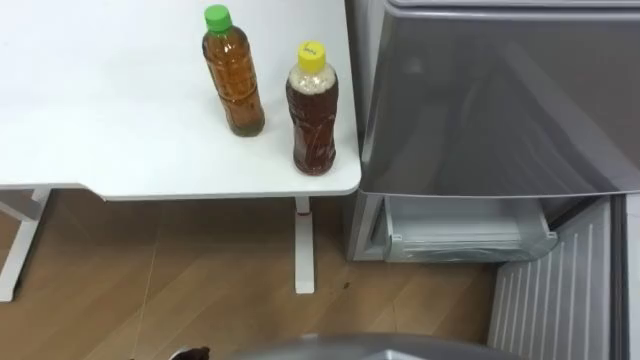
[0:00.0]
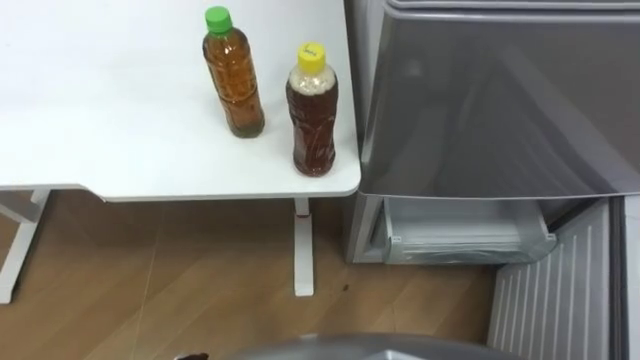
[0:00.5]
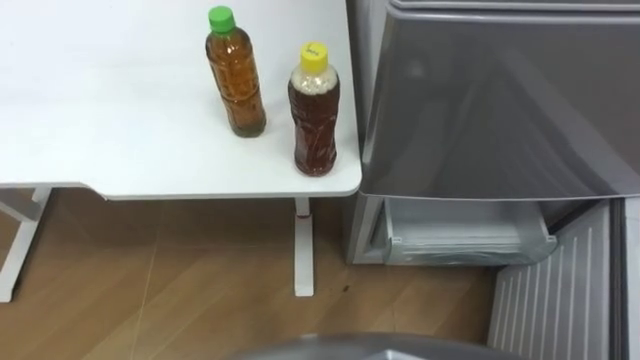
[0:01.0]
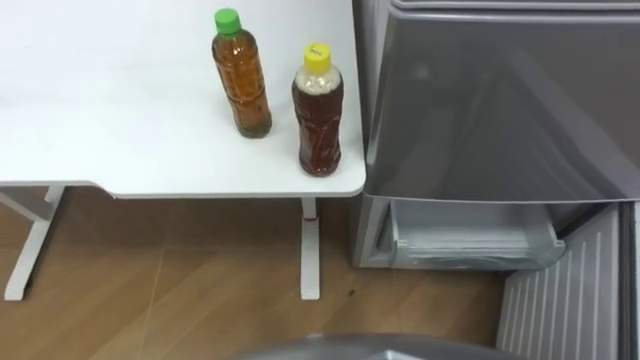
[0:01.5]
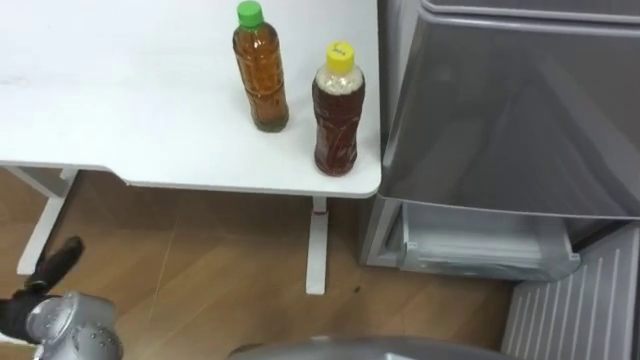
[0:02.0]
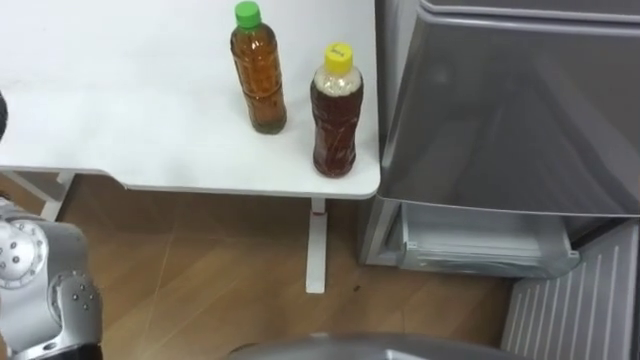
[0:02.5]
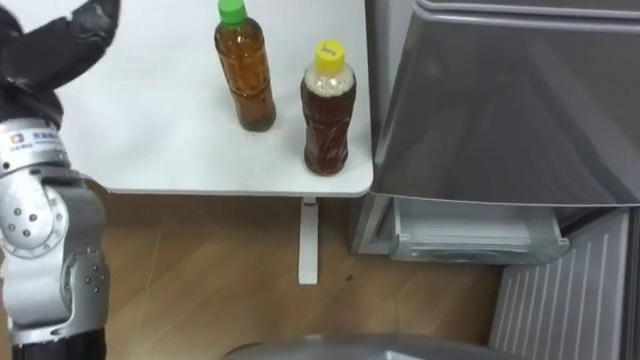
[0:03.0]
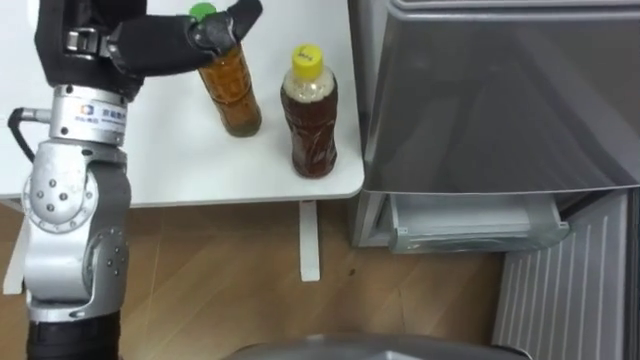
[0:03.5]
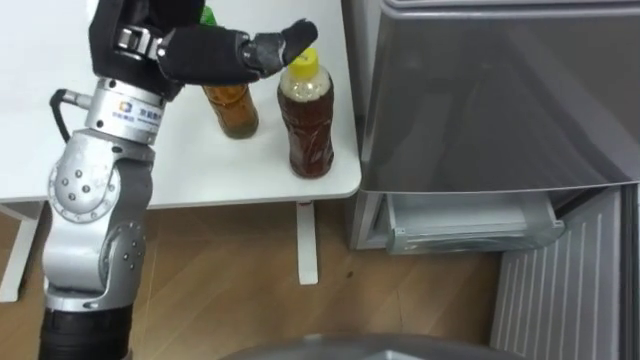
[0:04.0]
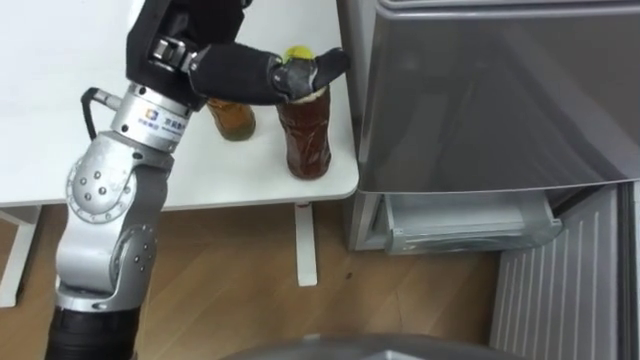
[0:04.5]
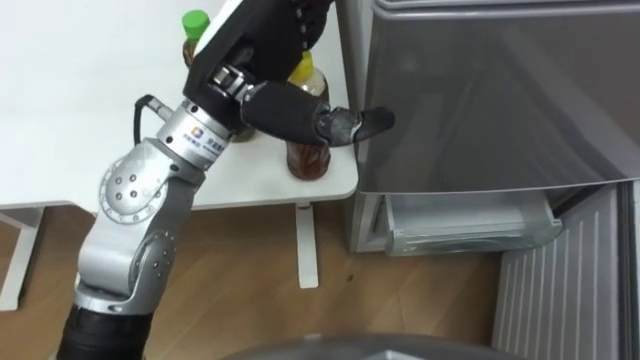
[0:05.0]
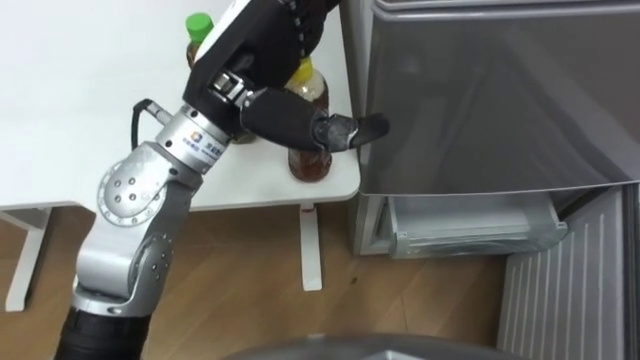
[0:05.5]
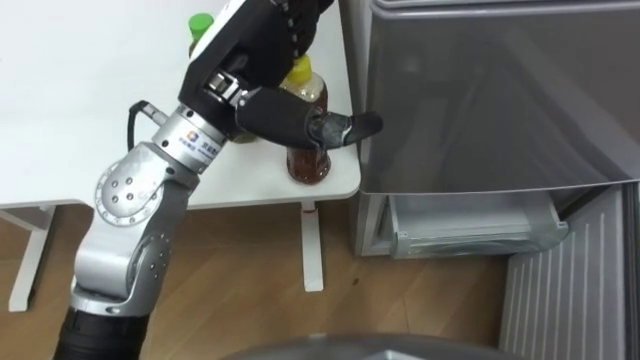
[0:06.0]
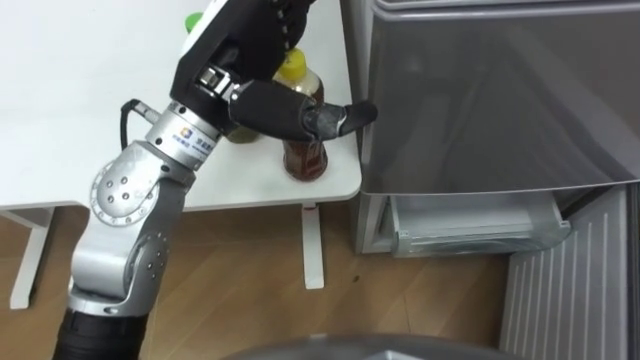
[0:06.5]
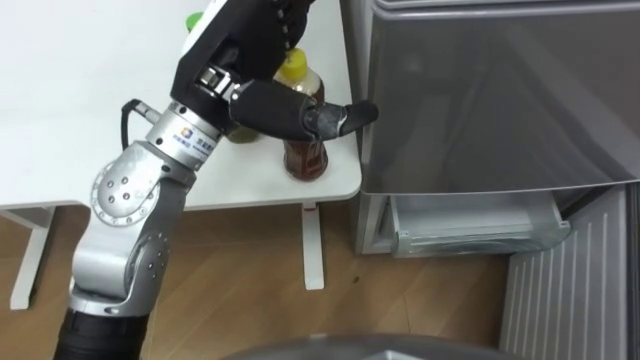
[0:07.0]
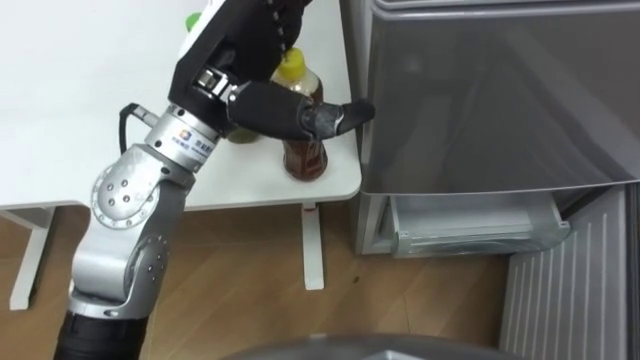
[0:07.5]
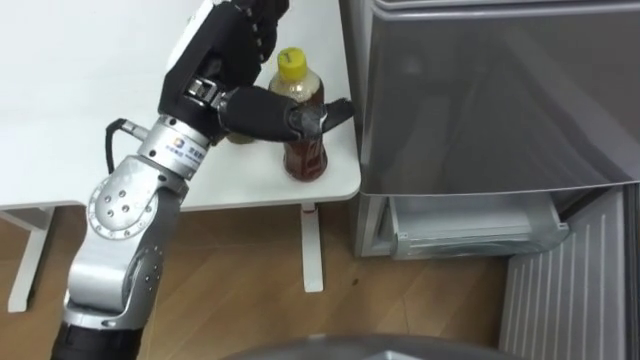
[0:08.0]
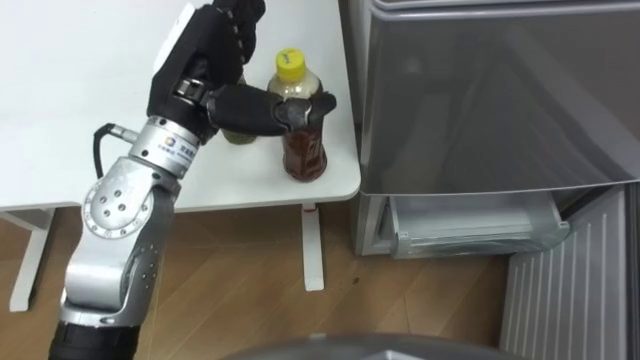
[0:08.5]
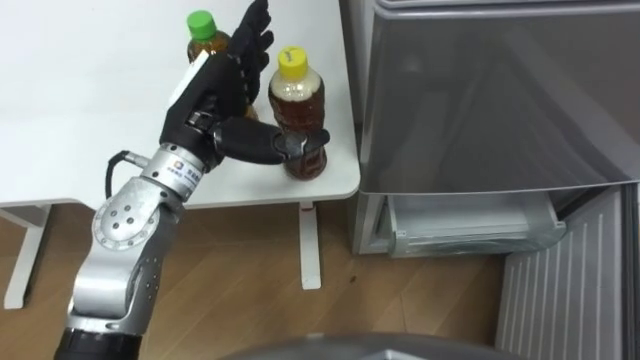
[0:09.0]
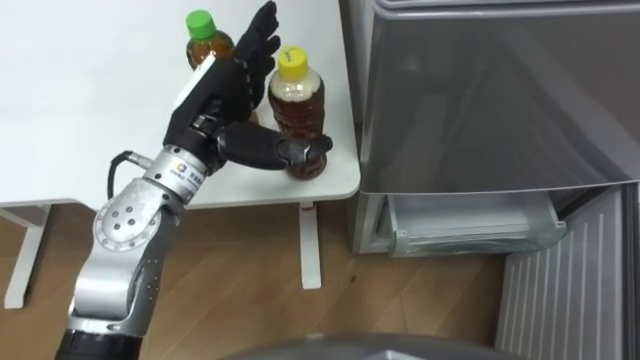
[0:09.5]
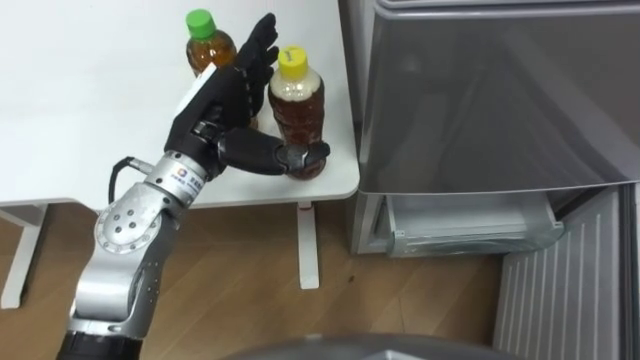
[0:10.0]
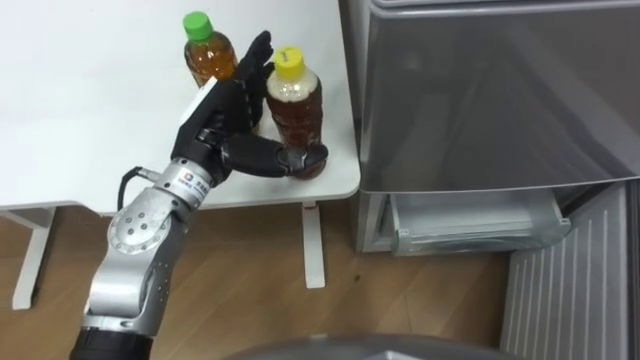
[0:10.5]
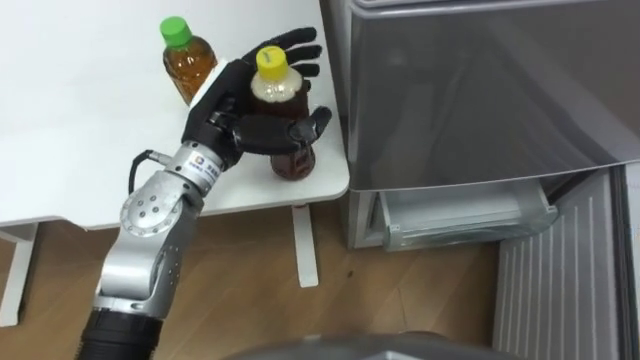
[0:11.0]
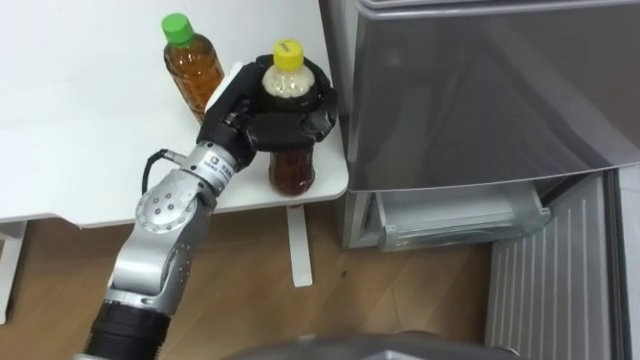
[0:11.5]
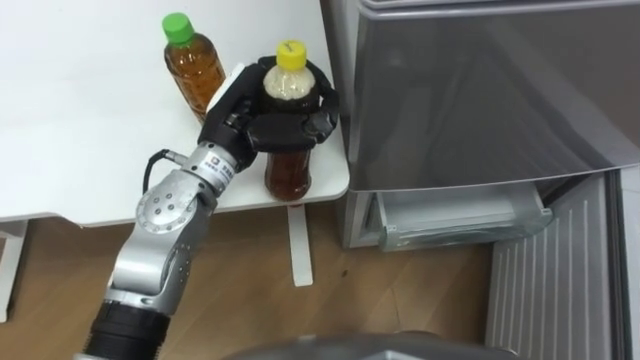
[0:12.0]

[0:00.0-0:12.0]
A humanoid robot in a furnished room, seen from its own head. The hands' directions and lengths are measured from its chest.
Task of the whole recording: Place the drink on the table on the bottom shelf of the refrigerator, then close the drawer and the refrigerator door.
0:04.0 to 0:06.0: The left hand travels to the right by roughly 5 cm.
0:08.0 to 0:10.0: The left hand is displaced downward by roughly 5 cm.
0:10.0 to 0:12.0: The left hand closes.

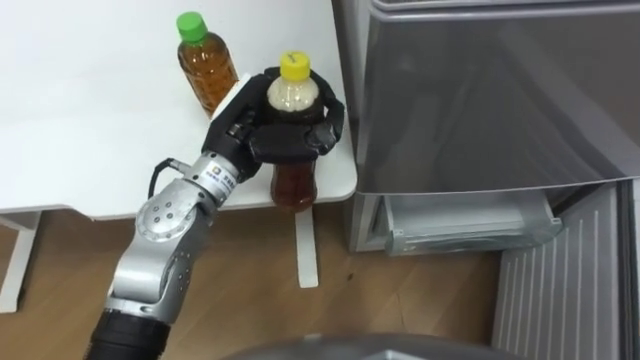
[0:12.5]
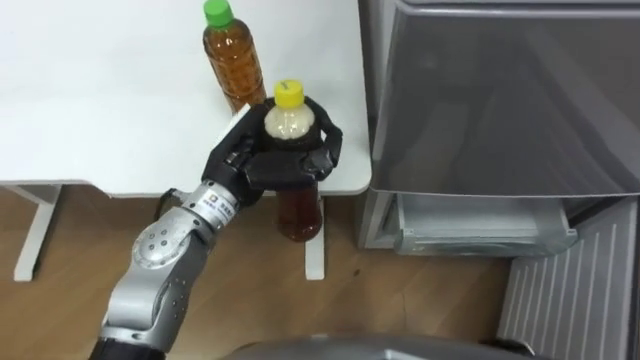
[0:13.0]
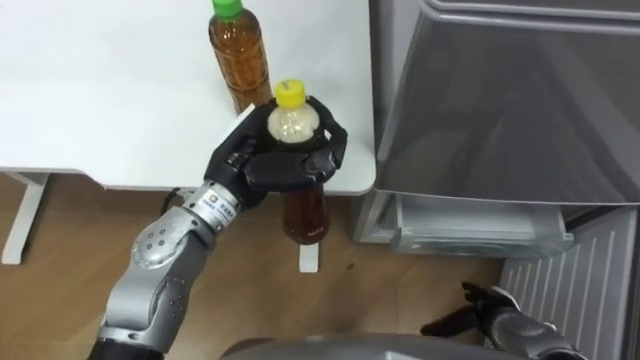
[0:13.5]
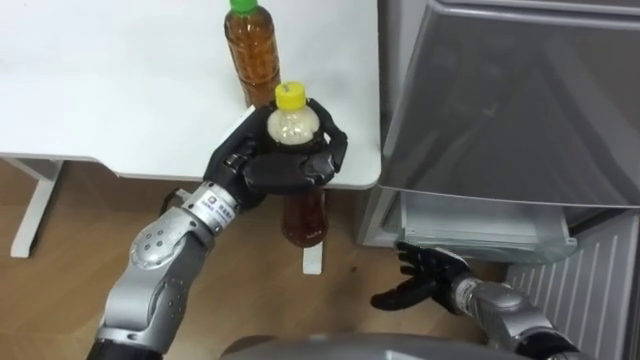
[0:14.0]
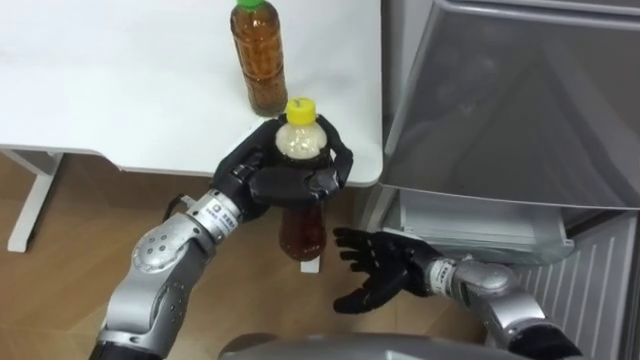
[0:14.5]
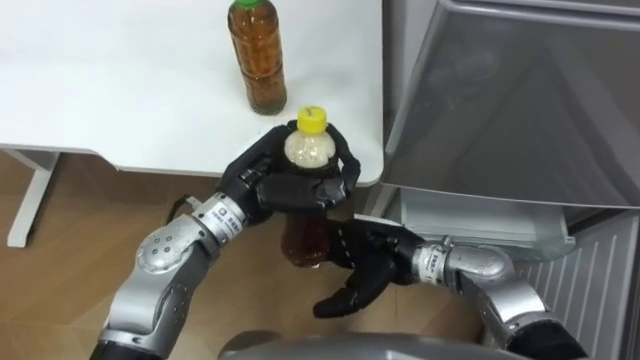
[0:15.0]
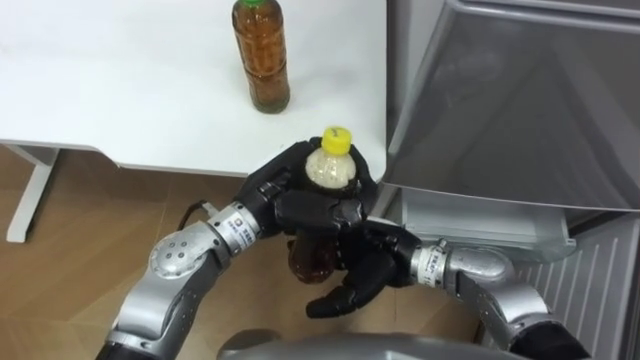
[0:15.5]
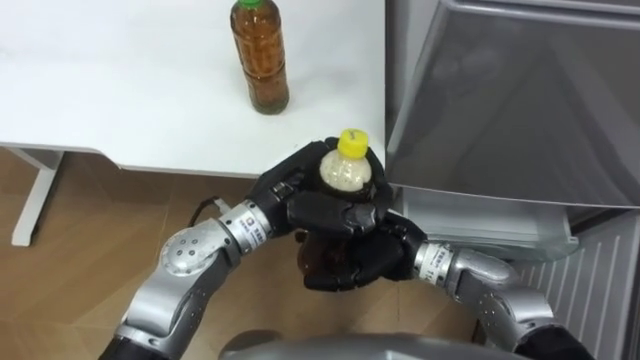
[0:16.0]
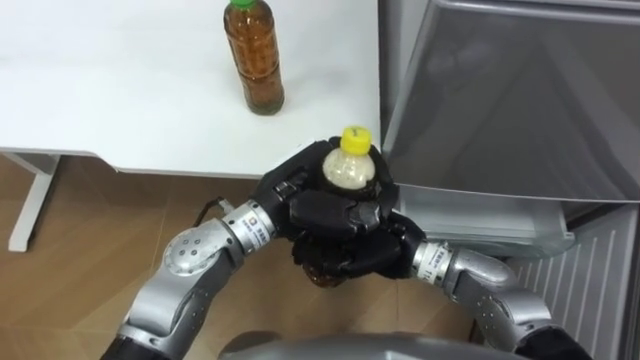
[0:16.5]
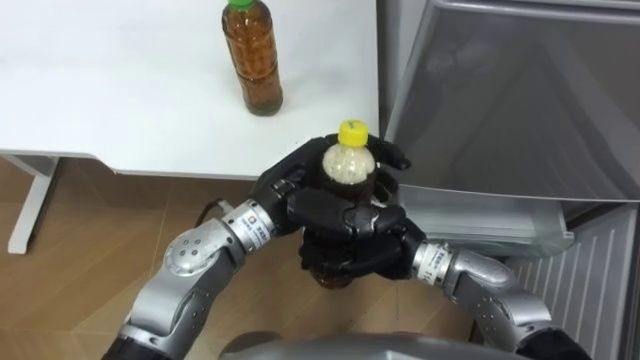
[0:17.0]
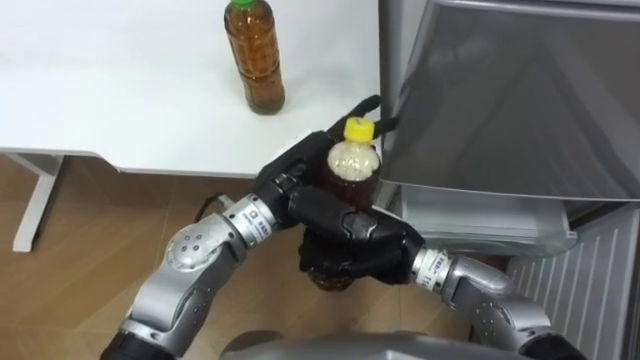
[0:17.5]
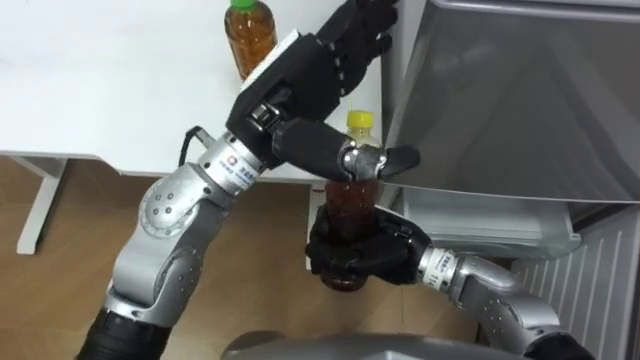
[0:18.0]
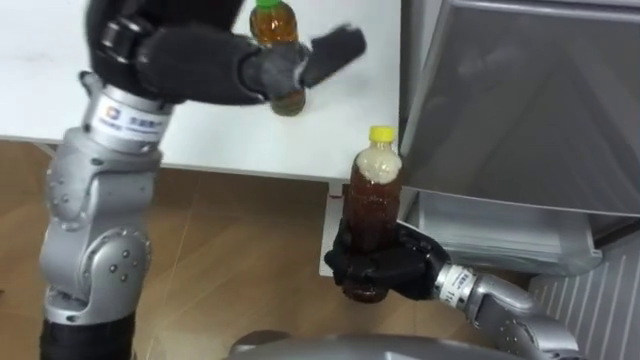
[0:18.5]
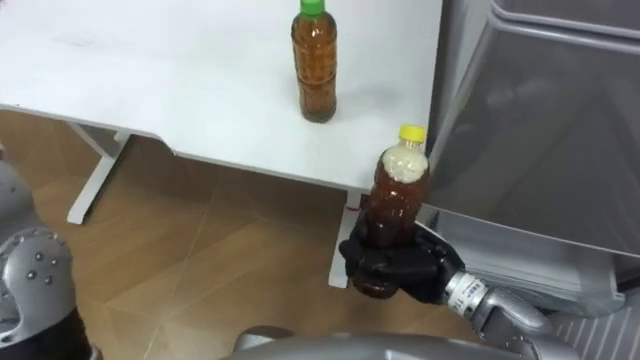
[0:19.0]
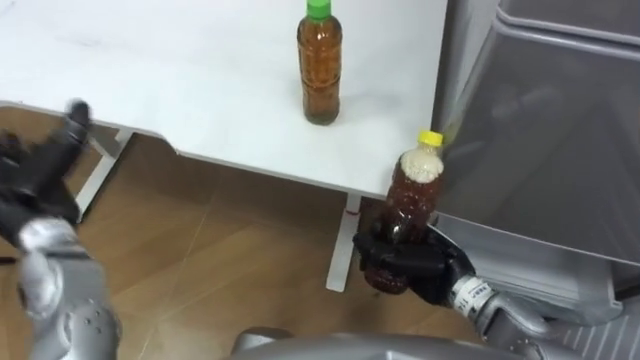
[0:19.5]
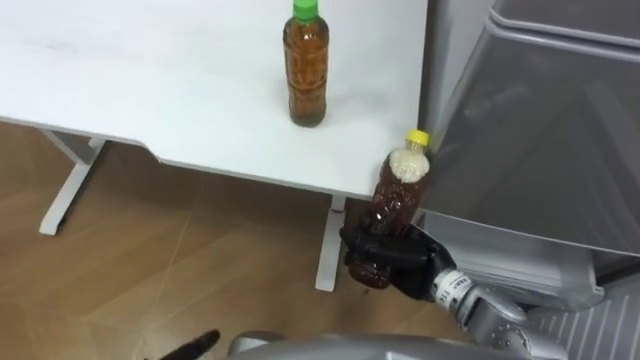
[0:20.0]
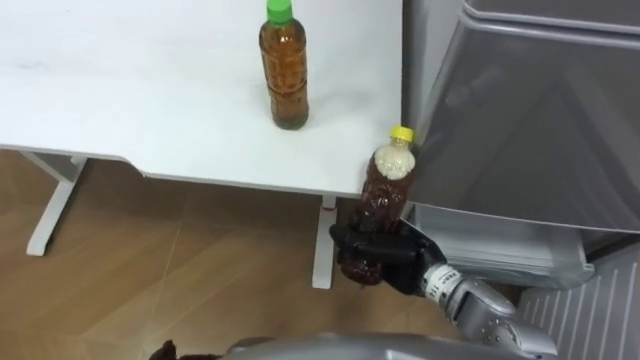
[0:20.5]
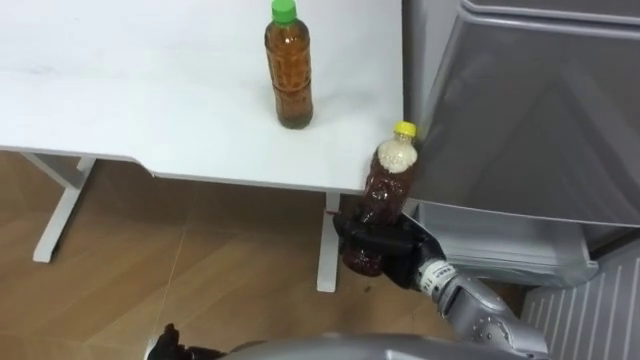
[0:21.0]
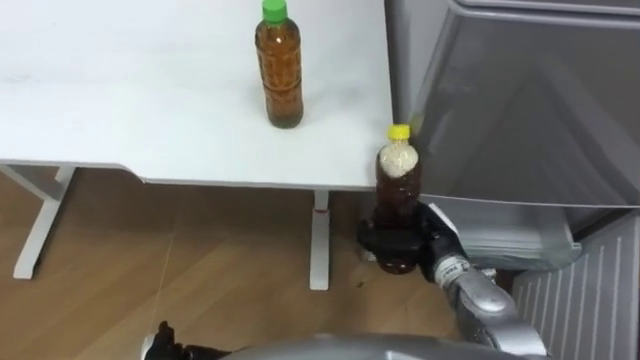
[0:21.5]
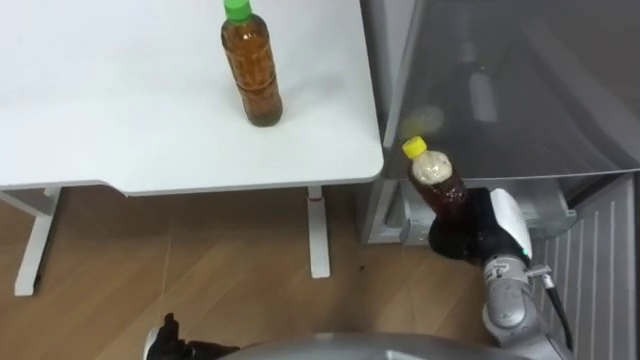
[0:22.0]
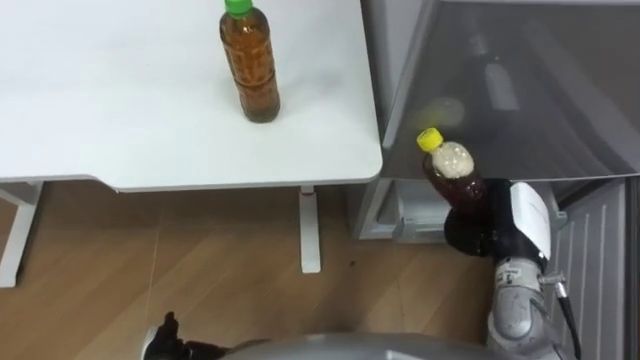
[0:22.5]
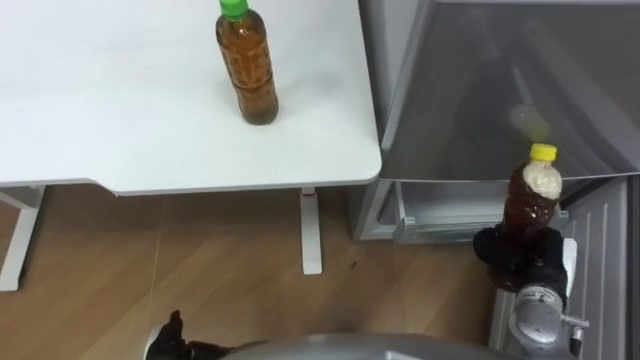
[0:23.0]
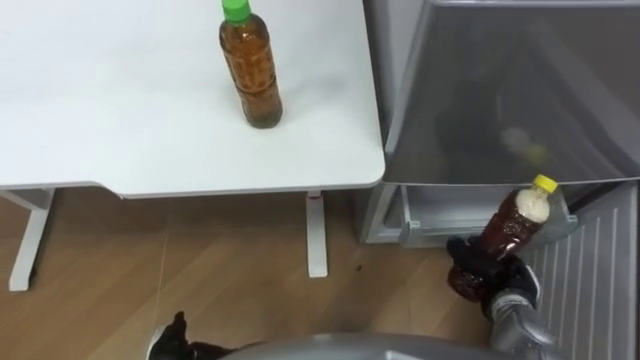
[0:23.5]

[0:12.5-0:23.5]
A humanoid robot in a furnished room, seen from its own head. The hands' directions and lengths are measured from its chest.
Task of the whole recording: Place the drink on the table on the bottom shelf of the refrigerator, then close the drawer and the refrigerator door.
0:14.5 to 0:16.0: The right hand shifts about 10 cm upward.
0:16.0 to 0:18.0: The right hand closes its fingers; the left hand travels upward by approximately 10 cm, and opens its fingers.
0:18.0 to 0:20.0: The right hand shifts roughly 5 cm to the right.
0:21.5 to 0:23.5: The right hand shifts roughly 15 cm to the right and backward.
